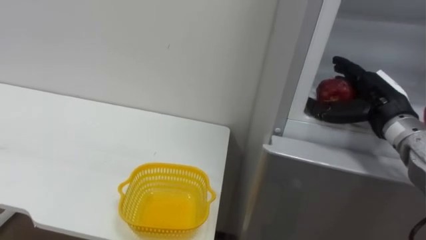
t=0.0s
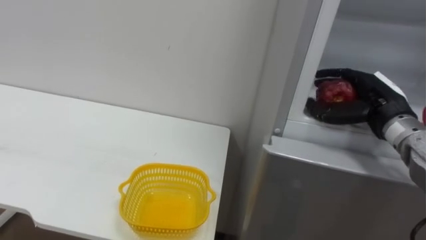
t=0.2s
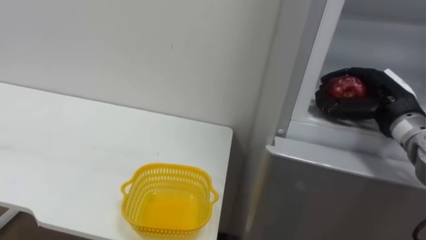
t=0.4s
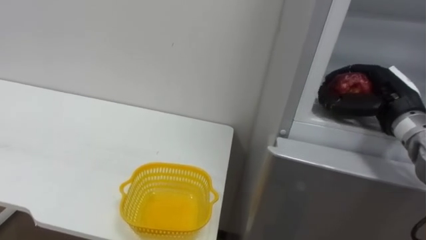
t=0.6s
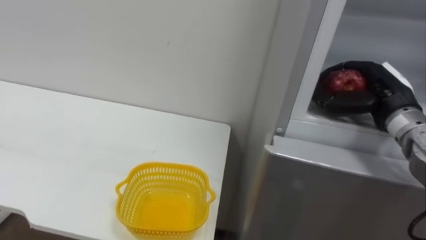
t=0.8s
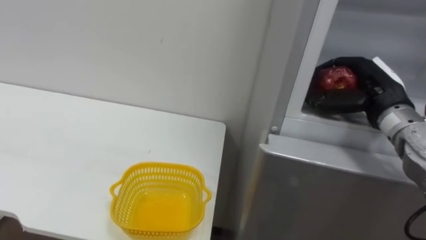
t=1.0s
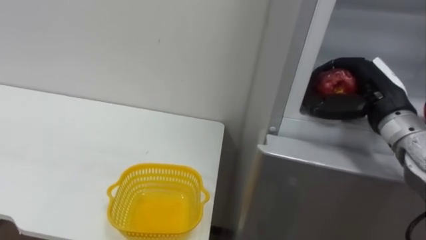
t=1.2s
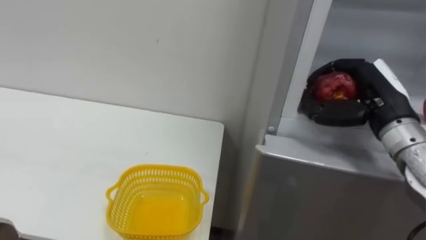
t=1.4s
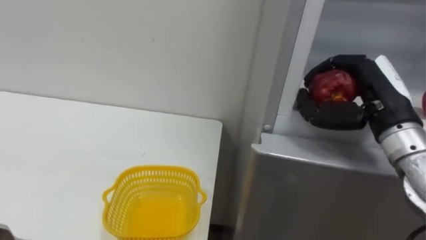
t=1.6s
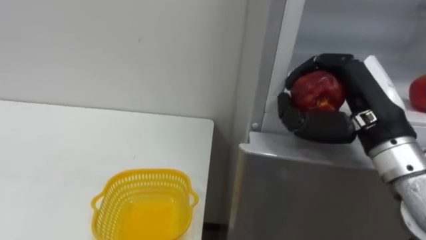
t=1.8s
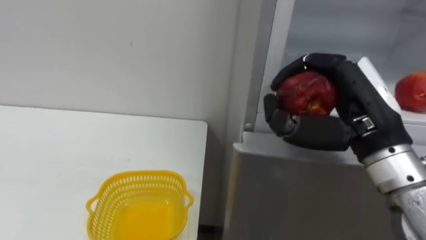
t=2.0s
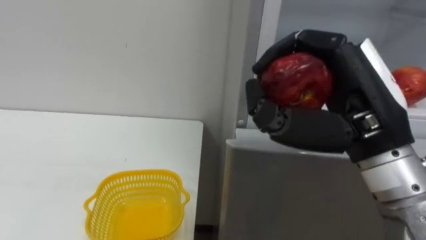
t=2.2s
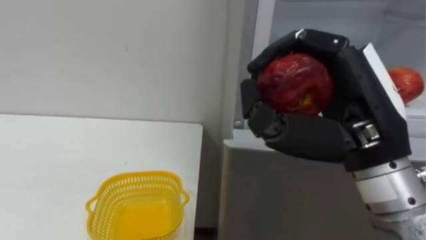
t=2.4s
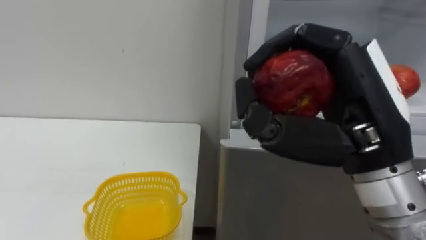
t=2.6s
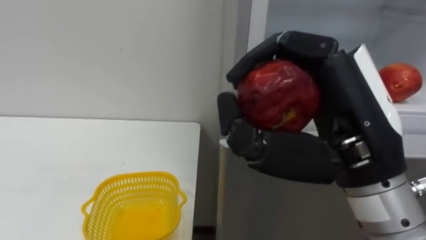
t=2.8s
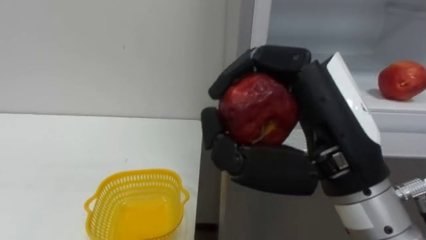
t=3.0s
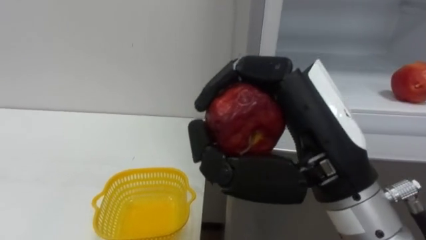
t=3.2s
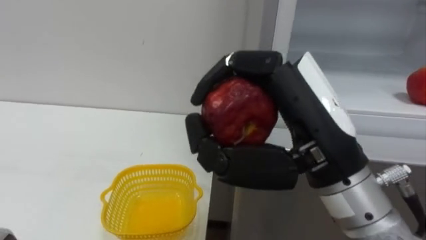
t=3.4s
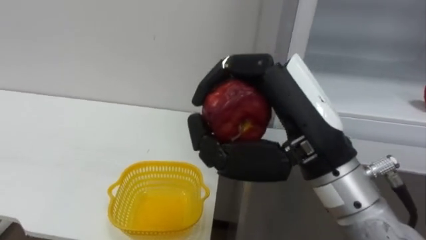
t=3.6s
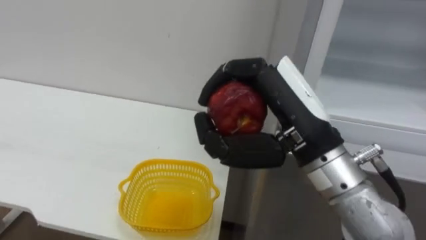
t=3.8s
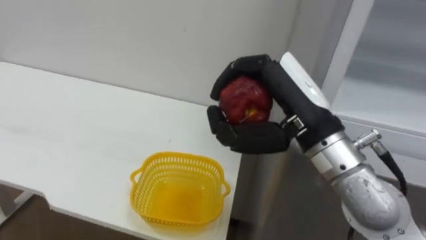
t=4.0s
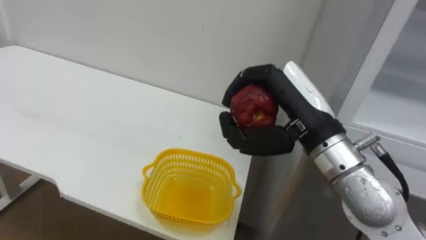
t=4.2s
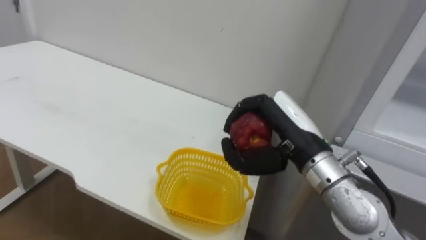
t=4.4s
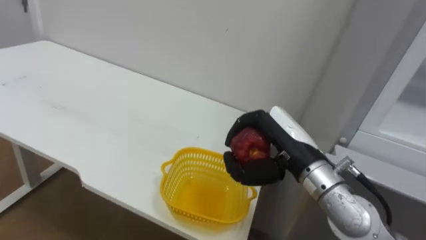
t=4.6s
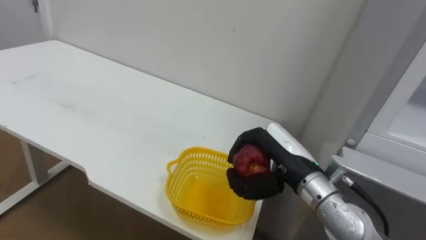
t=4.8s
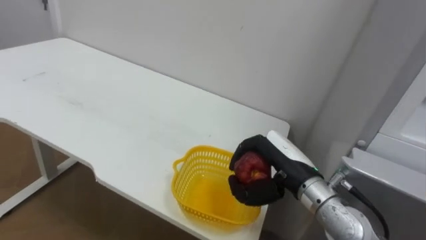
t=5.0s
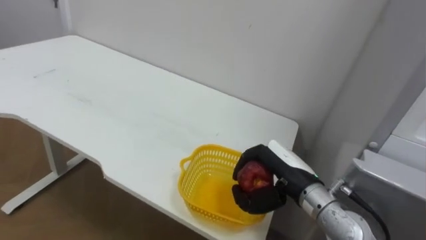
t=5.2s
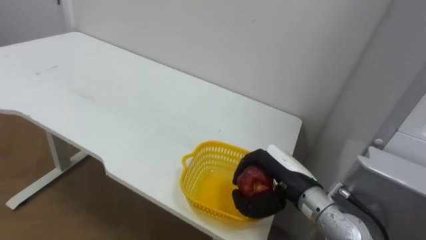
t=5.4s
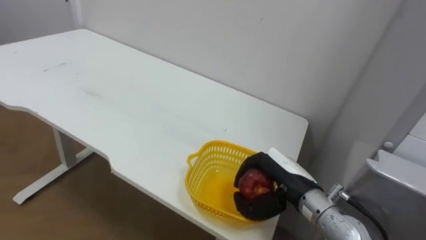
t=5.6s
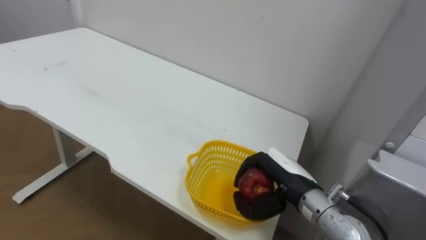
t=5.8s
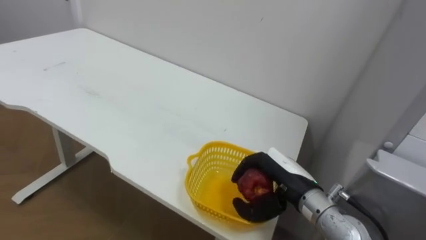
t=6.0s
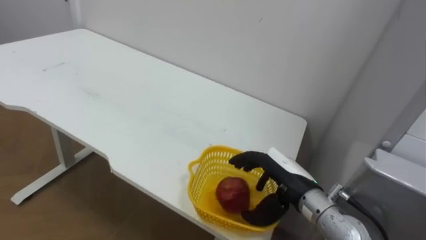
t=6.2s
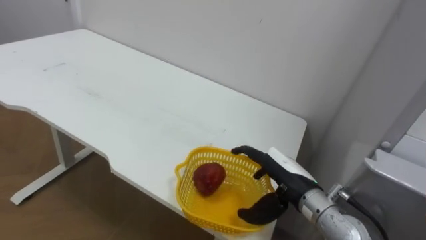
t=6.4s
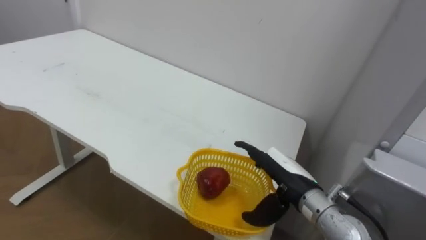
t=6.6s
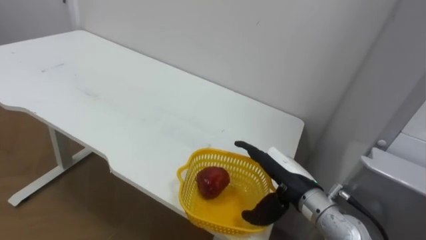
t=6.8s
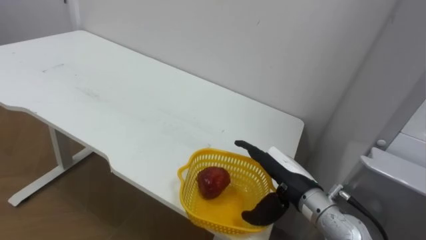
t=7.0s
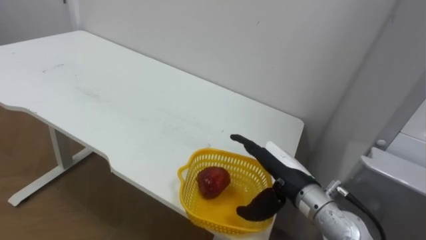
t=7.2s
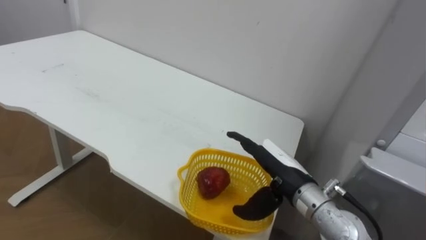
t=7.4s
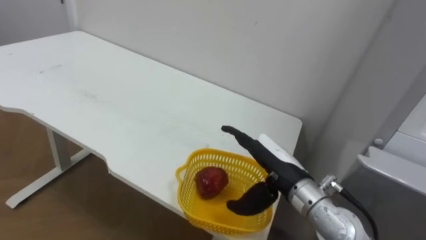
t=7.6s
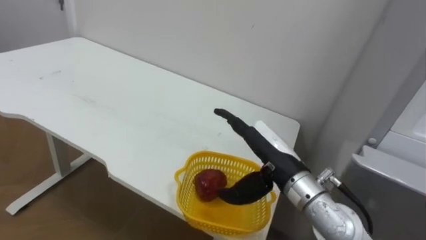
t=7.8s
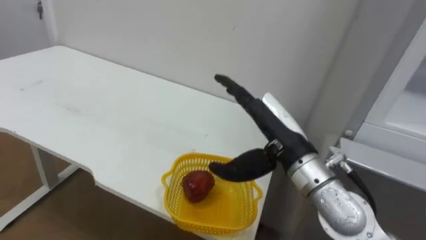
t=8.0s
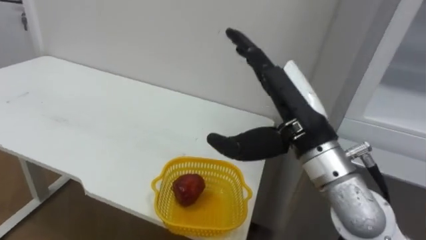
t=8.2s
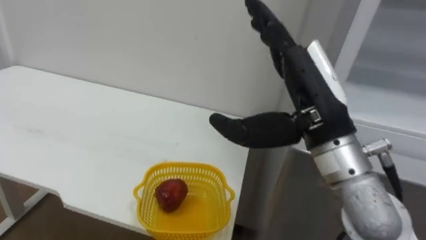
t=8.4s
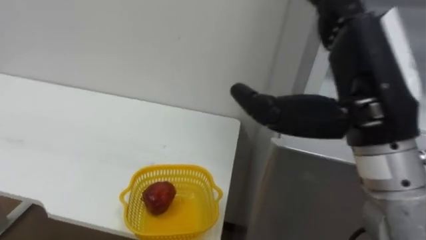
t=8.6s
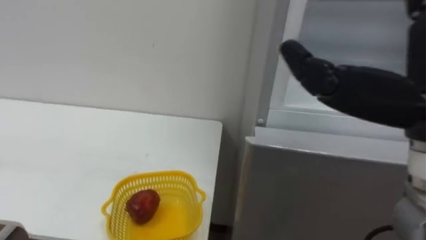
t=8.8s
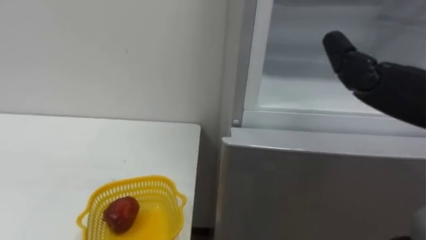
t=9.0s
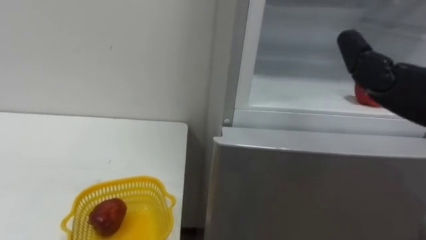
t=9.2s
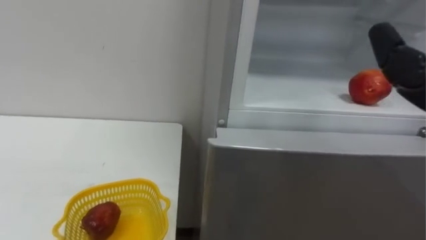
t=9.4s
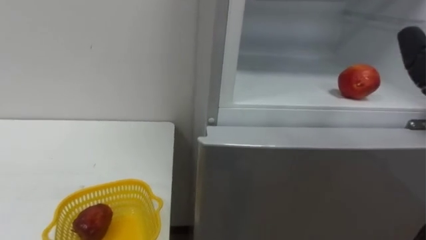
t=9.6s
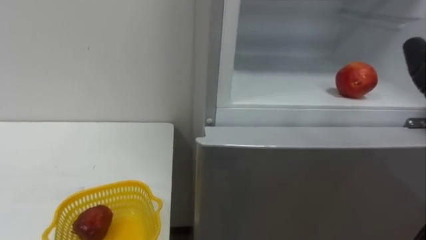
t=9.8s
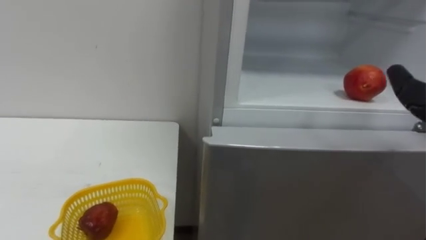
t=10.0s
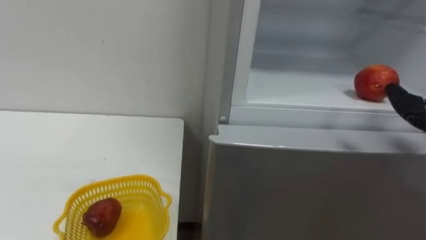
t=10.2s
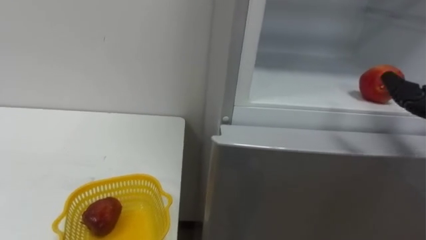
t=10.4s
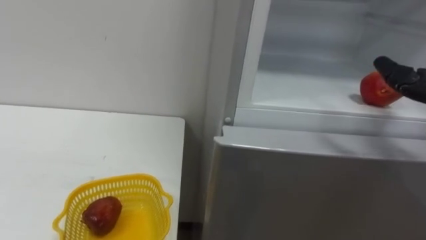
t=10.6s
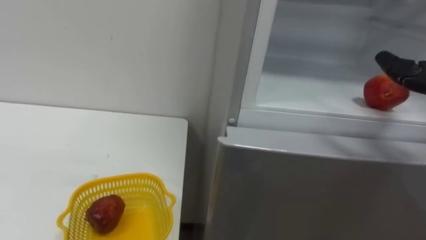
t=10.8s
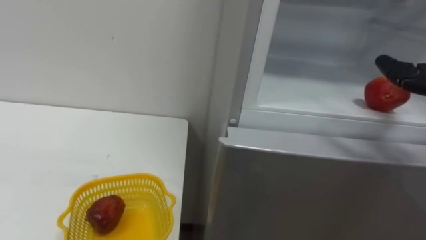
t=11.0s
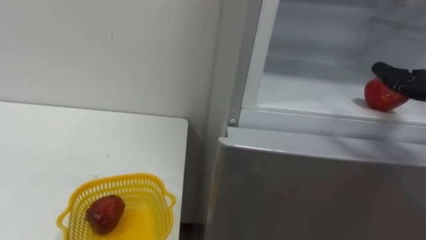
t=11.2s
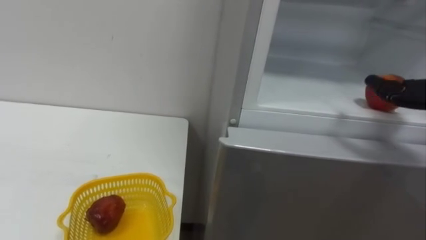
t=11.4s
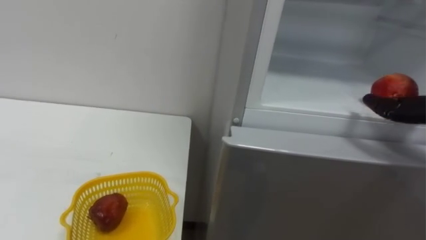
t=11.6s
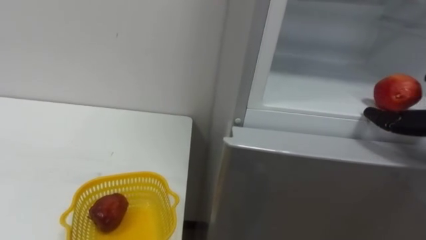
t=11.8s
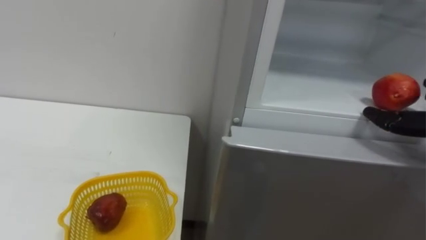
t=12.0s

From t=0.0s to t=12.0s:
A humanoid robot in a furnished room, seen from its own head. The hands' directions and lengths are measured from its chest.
Task of the whole recording: Open the refrigerator door, take out the apple and the pomegranate, place them in the fruit basket on the left, and close the refrigerator door.
From t=0.0s to t=1.6s: The right hand heads backward, covering roughly 5 cm, and closes its fingers.
From t=1.6s to t=3.0s: The right hand heads backward and to the left, covering some 20 cm.
From t=3.0s to t=4.4s: The right hand is displaced forward and downward by about 15 cm.
From t=4.4s to t=6.0s: The right hand is displaced downward by approximately 10 cm.
From t=6.0s to t=7.6s: The right hand opens its fingers.

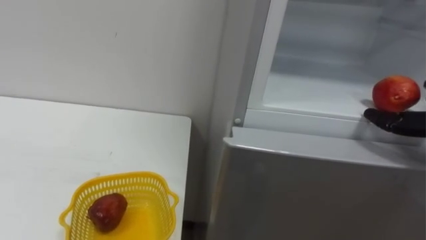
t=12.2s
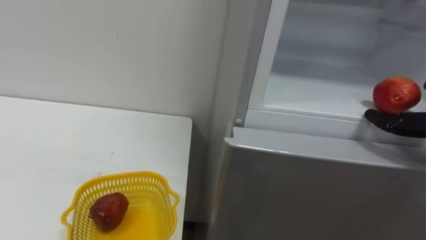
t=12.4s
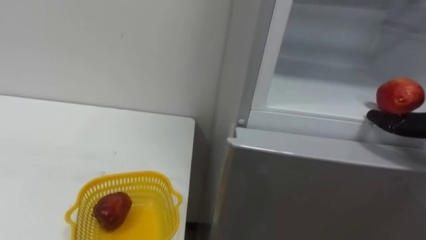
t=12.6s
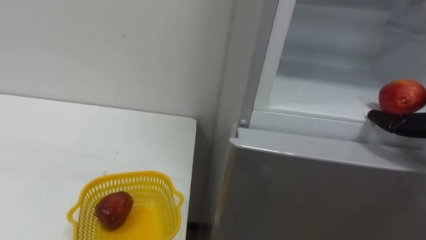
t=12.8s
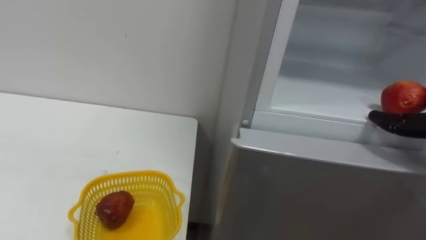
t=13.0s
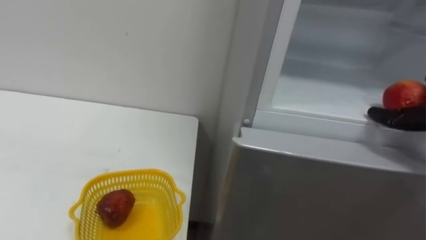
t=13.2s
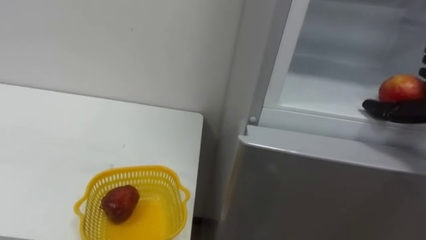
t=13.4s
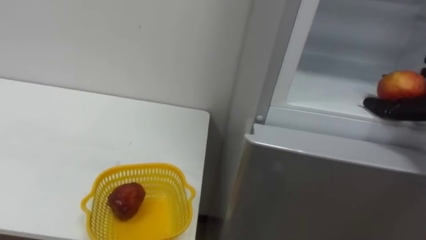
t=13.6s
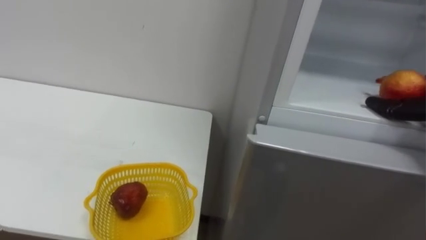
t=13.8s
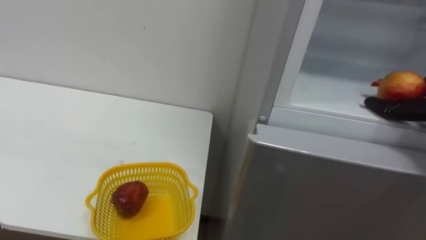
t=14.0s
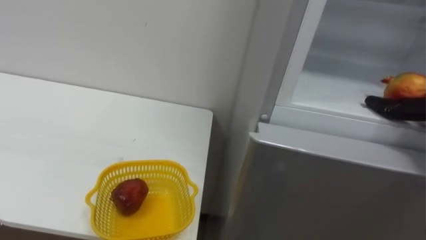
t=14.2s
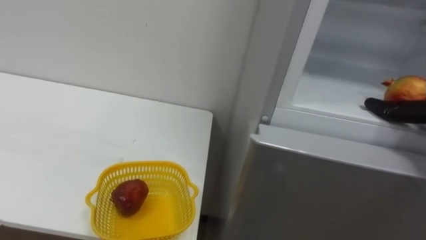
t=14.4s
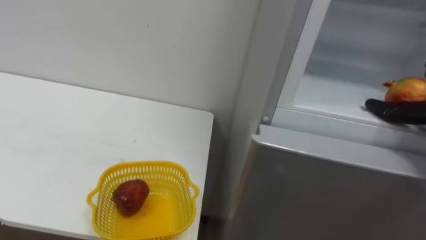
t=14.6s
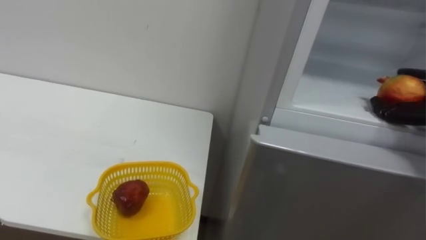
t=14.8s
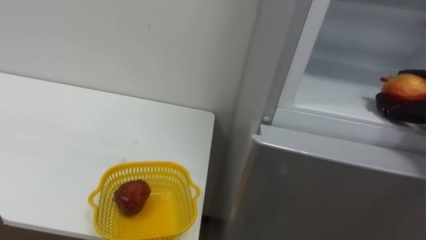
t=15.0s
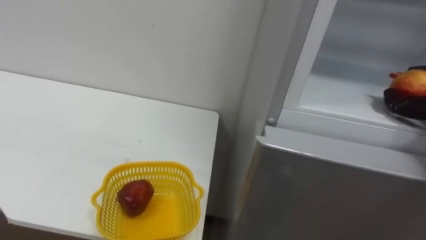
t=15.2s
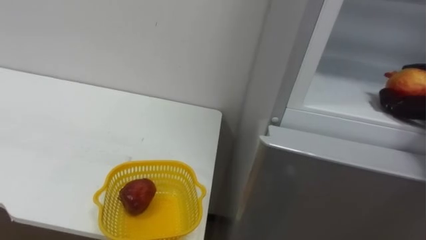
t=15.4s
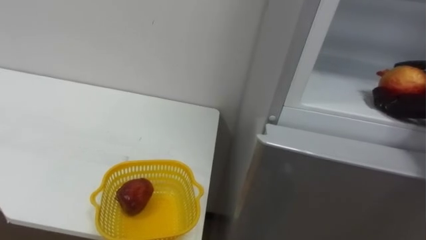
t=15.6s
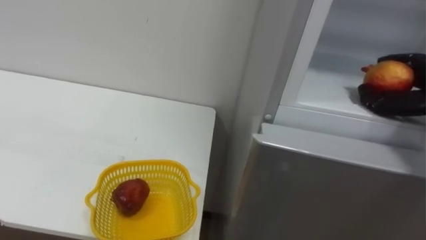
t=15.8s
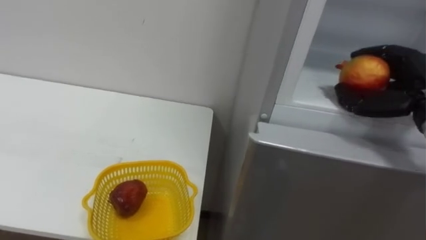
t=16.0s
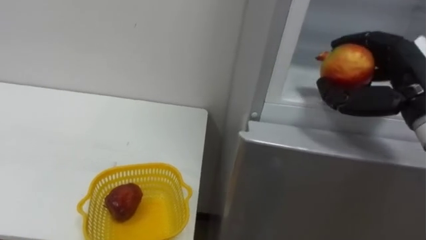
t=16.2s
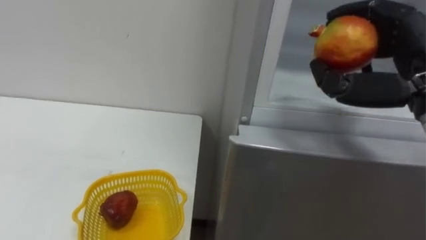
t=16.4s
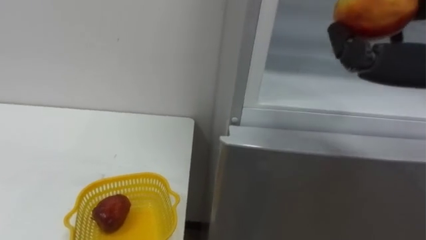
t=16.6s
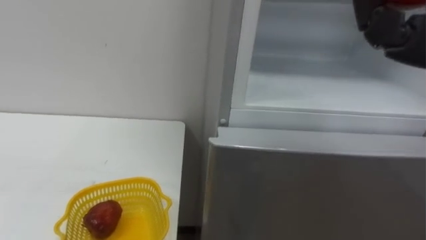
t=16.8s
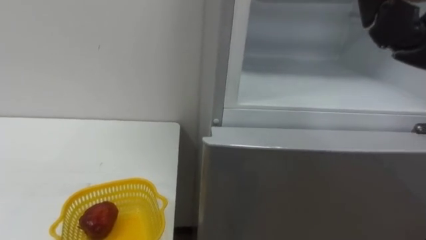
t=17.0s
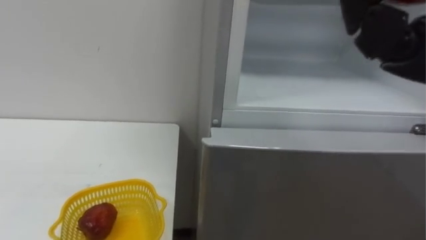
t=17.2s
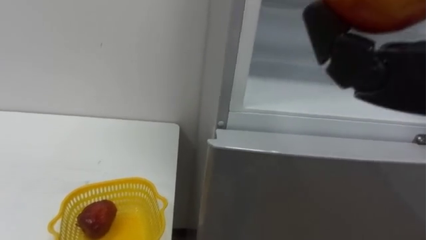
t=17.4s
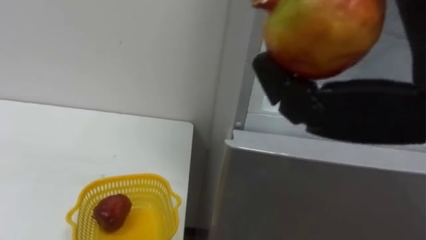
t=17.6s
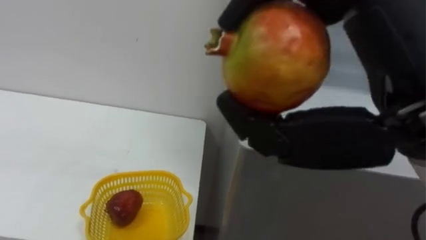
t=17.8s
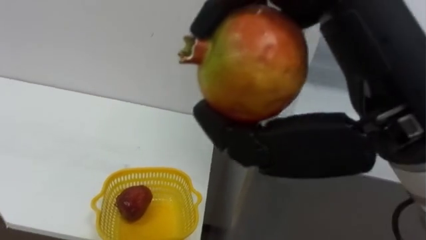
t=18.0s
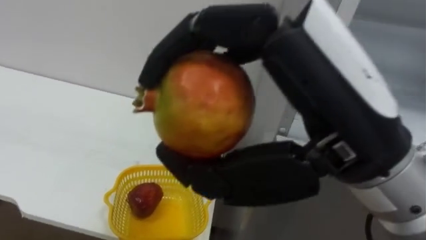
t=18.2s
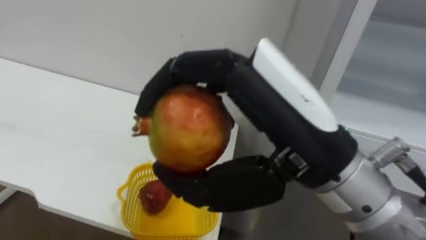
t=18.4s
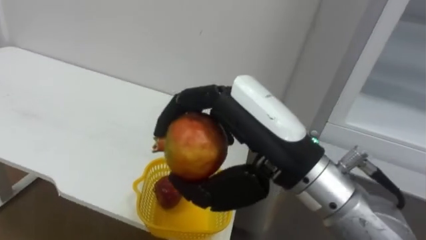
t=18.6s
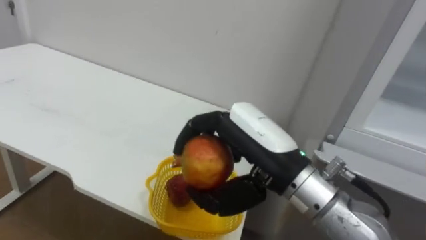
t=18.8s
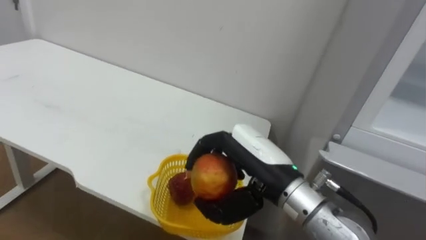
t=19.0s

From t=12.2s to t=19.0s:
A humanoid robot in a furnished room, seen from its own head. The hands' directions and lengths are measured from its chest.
Task of the whole recording: Open the refrigerator door, take out the apple and the pomegranate, place them in the fruit basket on the left, and close the refrigerator door.
From t=17.6s to t=19.0s: The right hand goes approximately 25 cm downward, forward and to the left.
